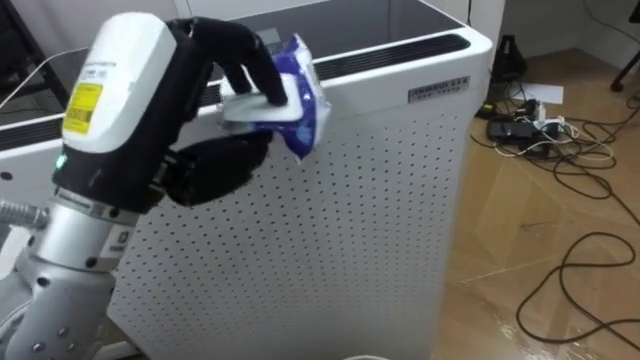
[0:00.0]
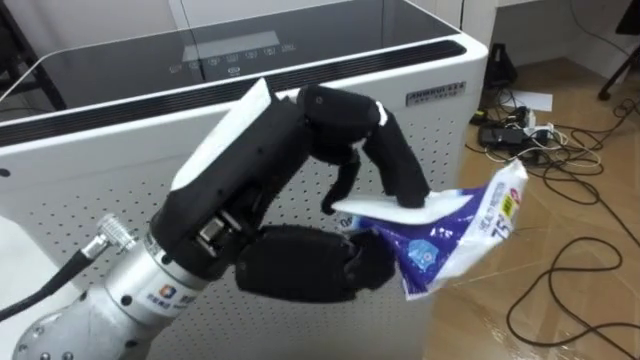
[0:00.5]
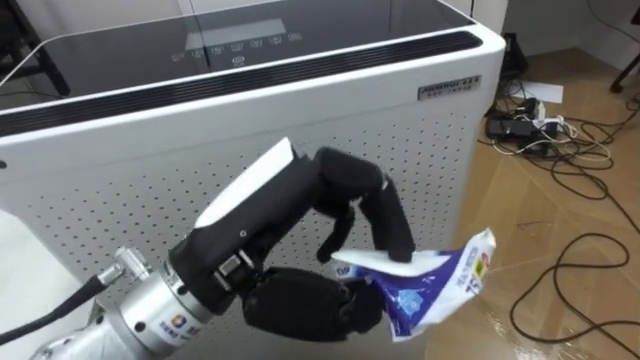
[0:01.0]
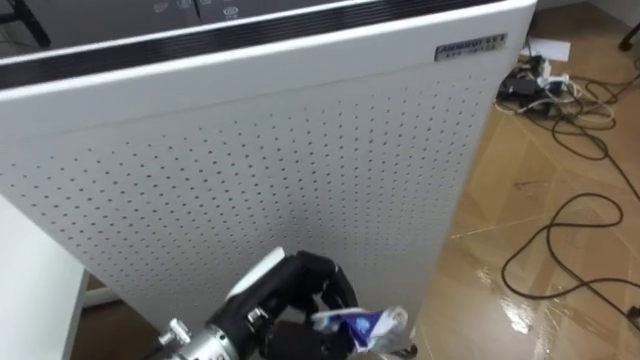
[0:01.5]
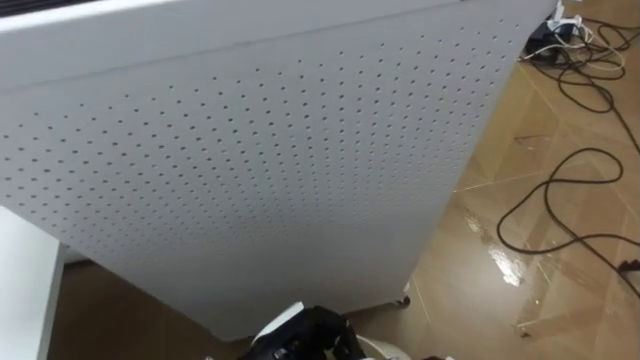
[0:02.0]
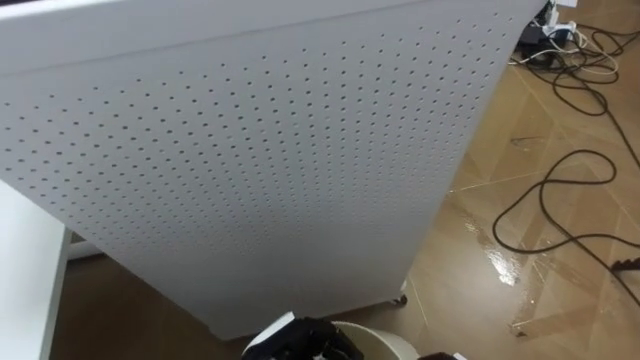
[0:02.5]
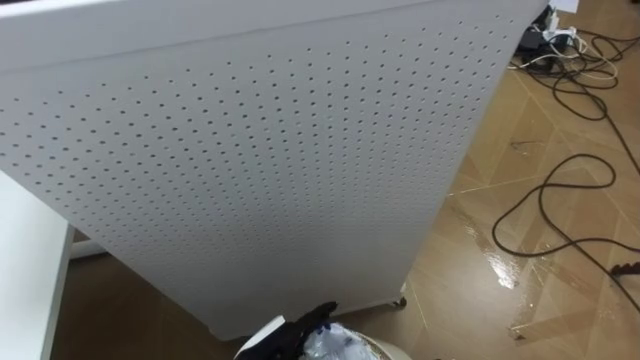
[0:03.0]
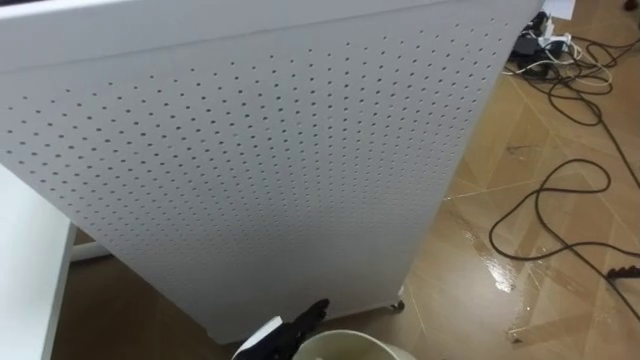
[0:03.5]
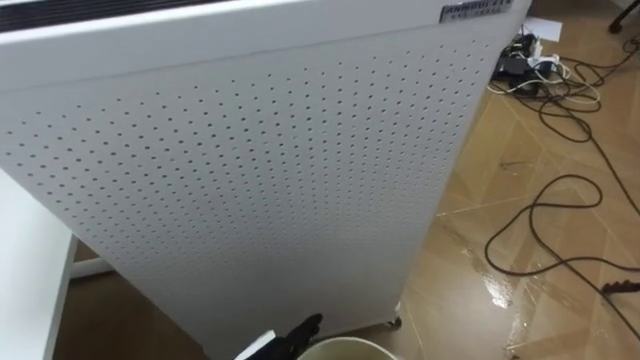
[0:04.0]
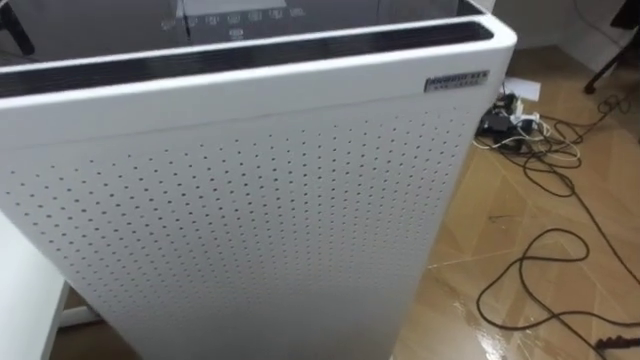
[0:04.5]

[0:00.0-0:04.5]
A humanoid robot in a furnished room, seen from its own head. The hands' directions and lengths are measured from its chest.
Task of the whole recording: Pick up the light blue package, the candy box, and the dark blue package separately, and put them into the trash can held in your right hand.
0:00.0 to 0:02.0: The left hand moves downward, some 30 cm.
